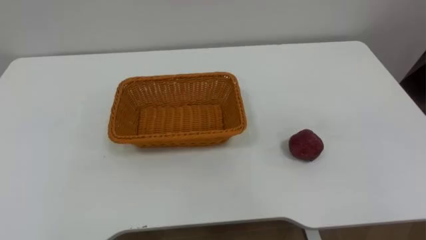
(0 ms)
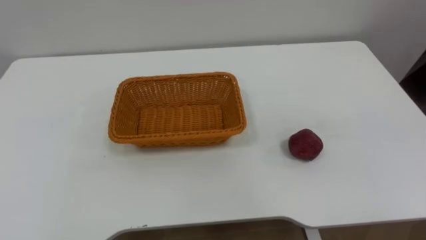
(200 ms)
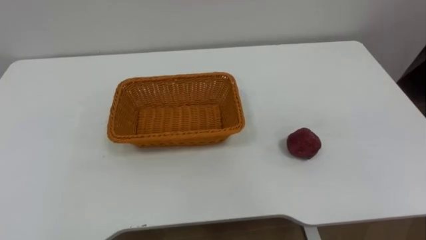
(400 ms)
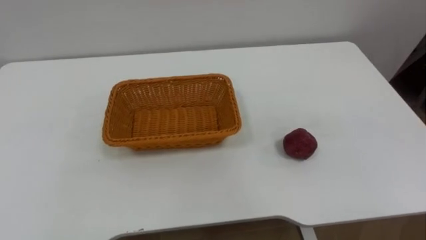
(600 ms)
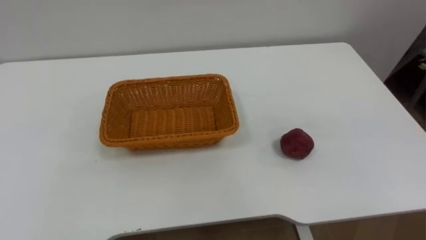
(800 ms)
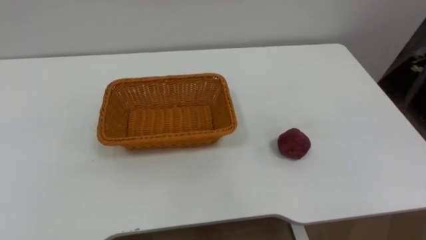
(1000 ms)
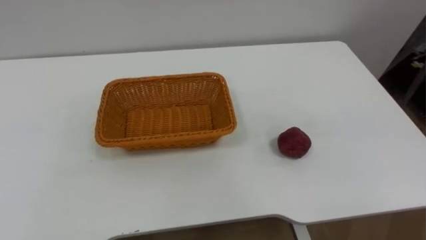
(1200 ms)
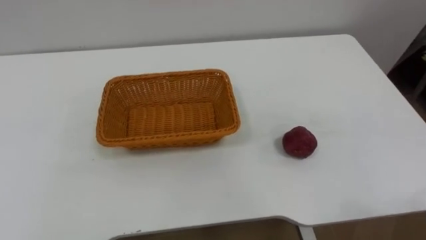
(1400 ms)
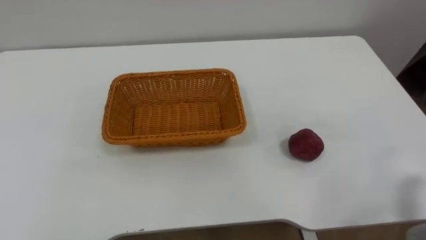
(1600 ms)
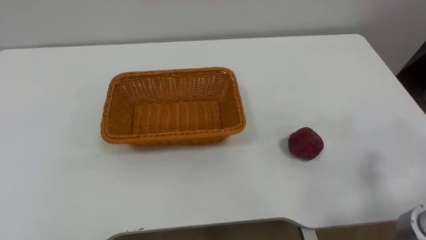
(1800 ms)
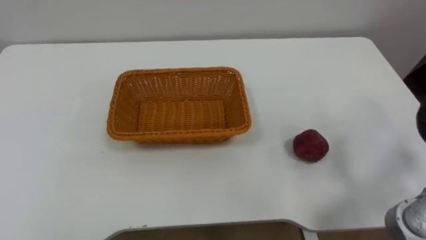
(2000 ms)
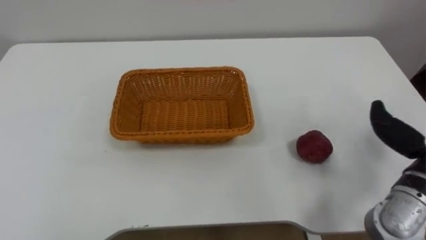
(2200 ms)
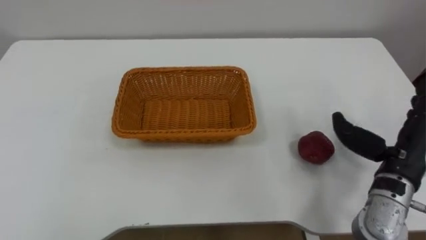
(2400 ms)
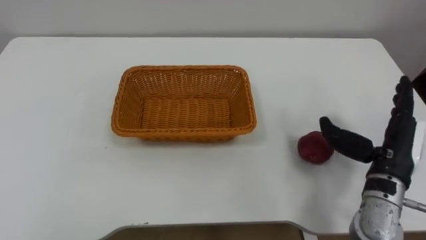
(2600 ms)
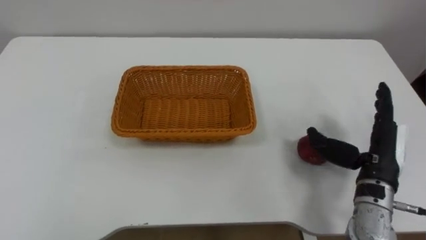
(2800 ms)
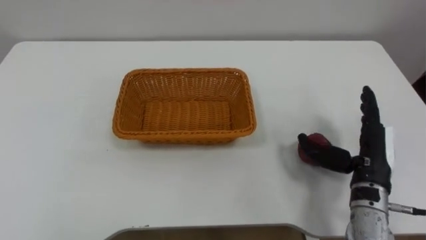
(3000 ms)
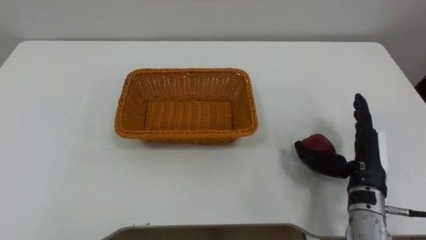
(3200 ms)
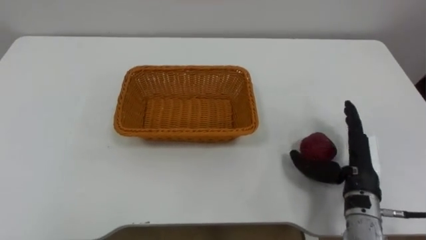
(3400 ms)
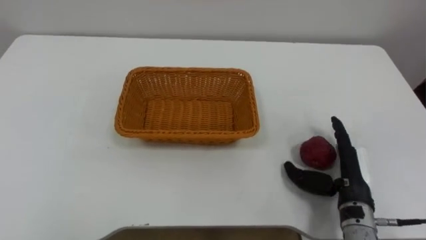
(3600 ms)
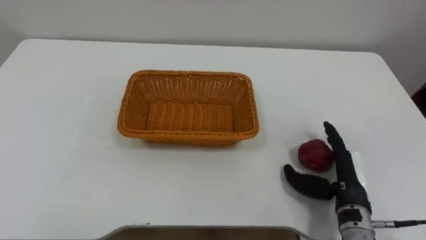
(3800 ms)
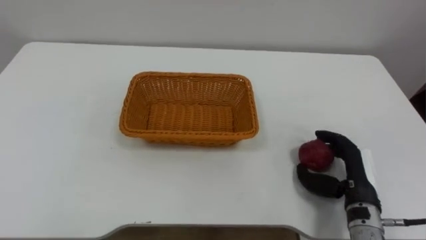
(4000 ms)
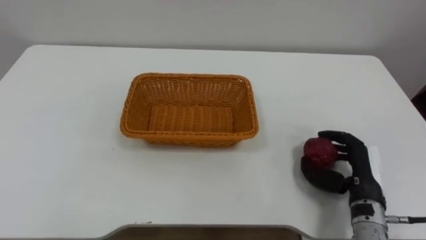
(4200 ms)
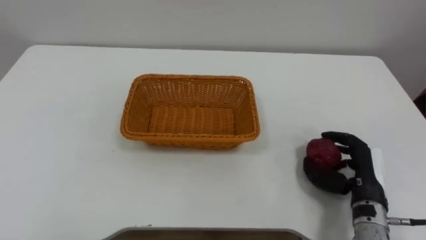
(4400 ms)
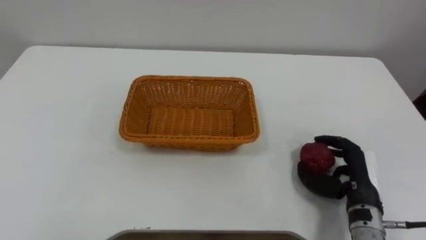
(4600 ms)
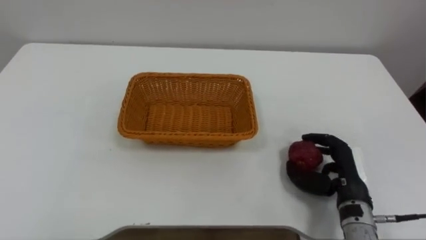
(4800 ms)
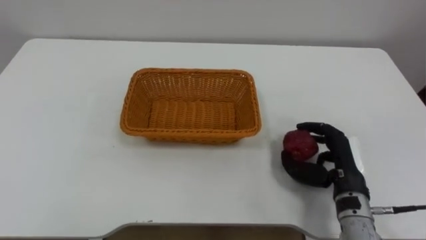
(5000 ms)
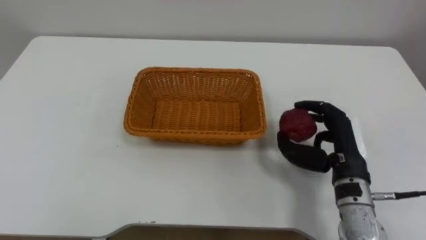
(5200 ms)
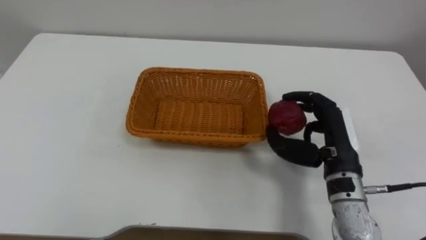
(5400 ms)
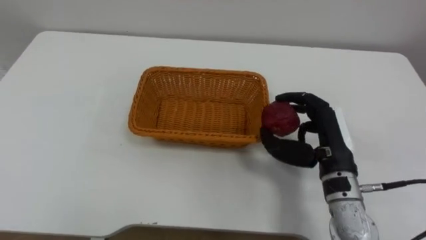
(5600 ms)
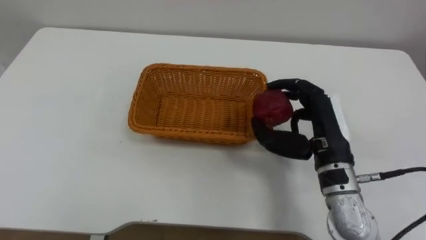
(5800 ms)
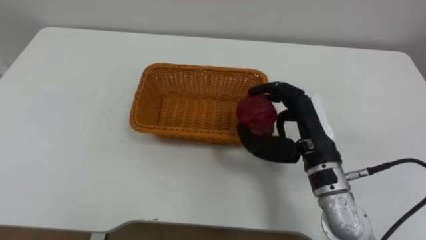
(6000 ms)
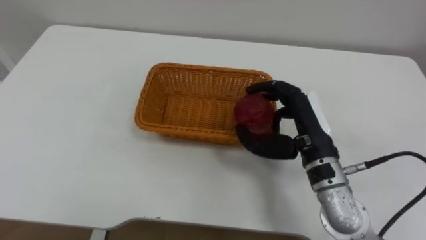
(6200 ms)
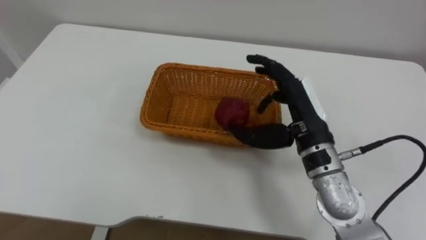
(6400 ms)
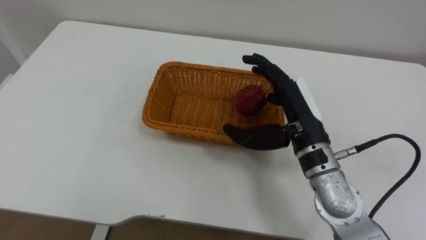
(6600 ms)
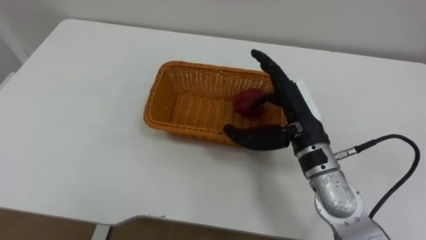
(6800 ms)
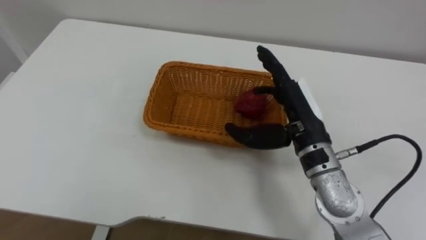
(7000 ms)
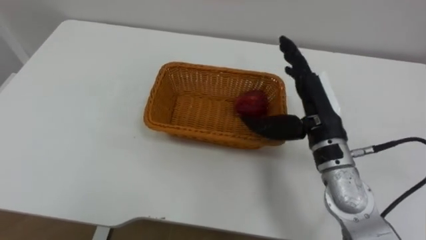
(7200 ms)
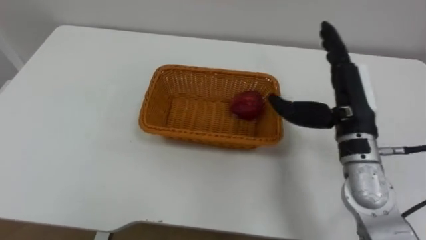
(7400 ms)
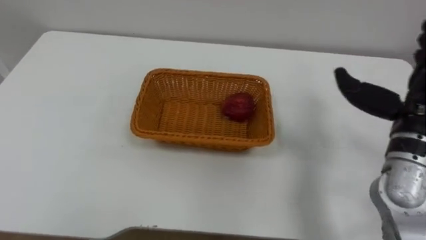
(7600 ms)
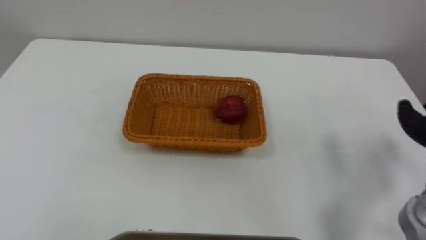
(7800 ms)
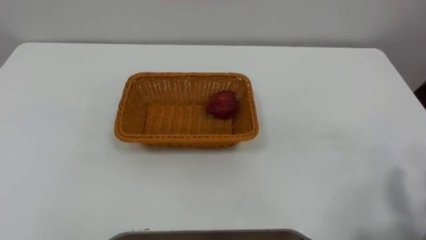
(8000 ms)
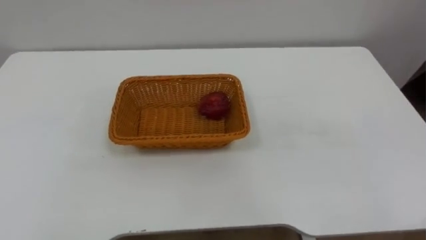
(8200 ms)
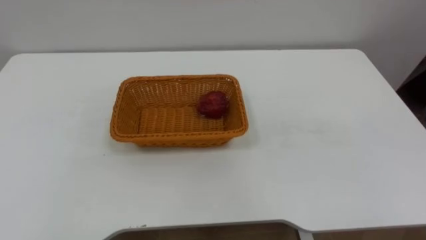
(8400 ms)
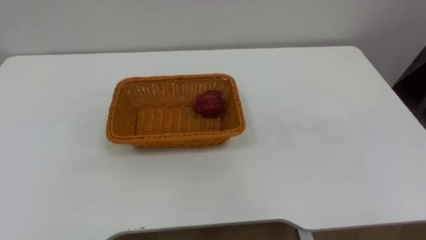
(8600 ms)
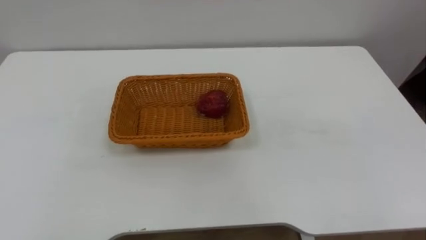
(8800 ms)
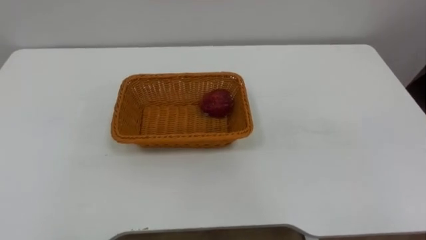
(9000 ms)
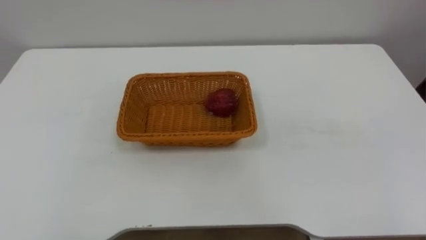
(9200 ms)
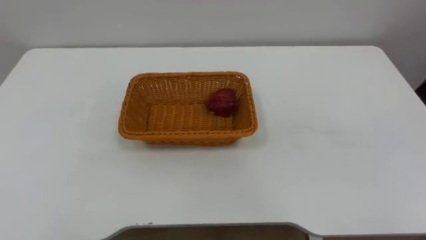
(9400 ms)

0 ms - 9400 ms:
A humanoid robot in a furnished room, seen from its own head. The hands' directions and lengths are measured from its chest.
Task of the whole recording: Pick the apple and place it in the box.
3200 ms - 4800 ms: The right hand closes its fingers.
4800 ms - 6200 ms: The right hand travels upward and to the left by some 15 cm.

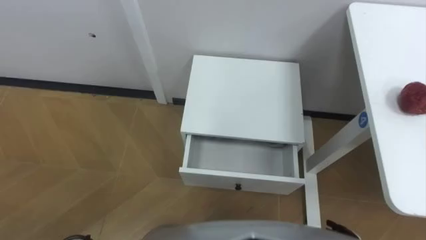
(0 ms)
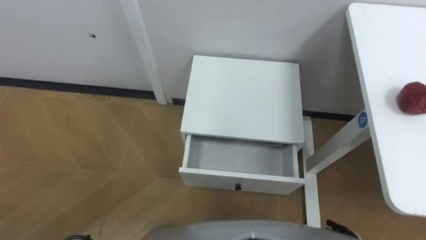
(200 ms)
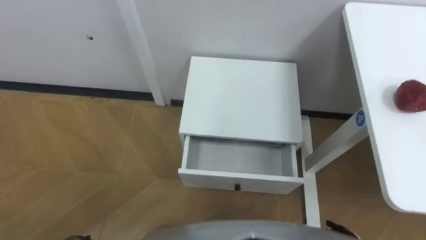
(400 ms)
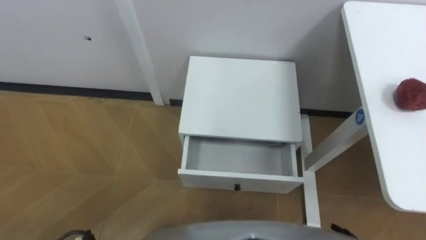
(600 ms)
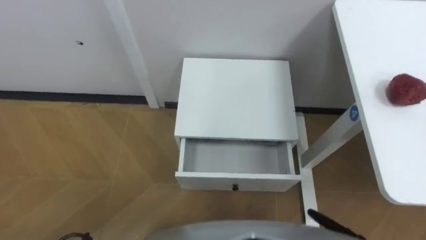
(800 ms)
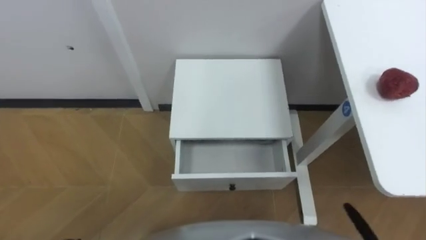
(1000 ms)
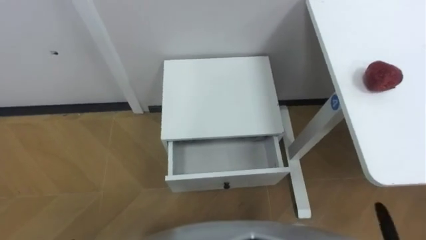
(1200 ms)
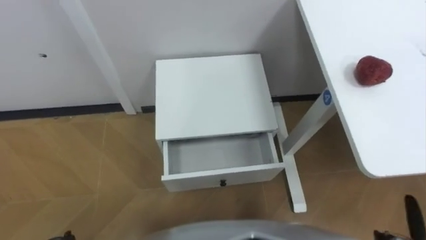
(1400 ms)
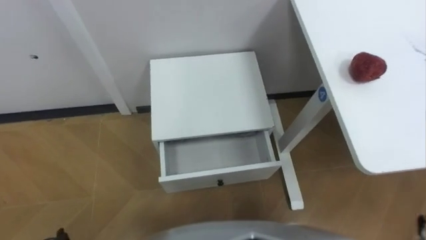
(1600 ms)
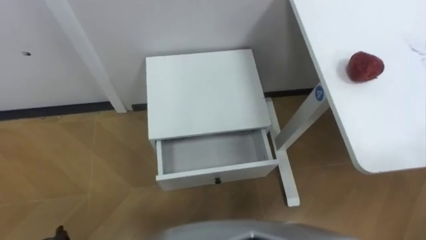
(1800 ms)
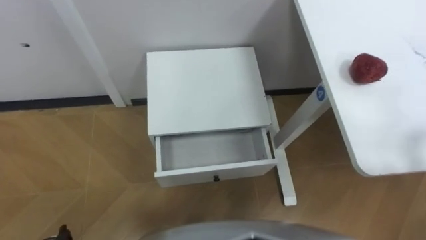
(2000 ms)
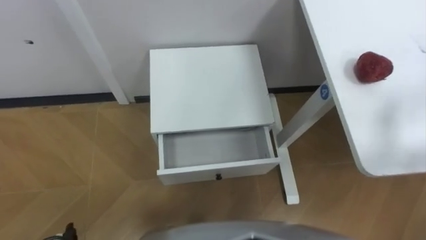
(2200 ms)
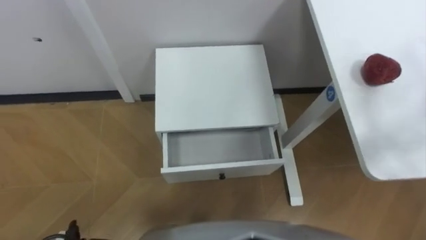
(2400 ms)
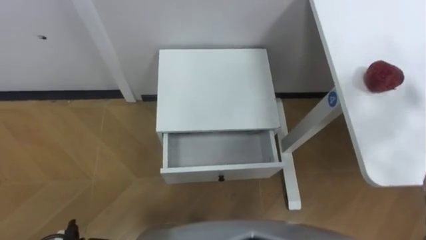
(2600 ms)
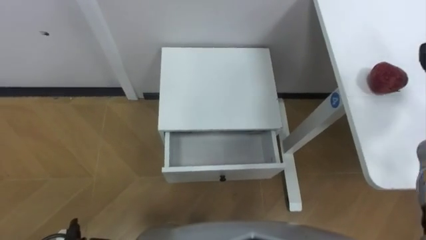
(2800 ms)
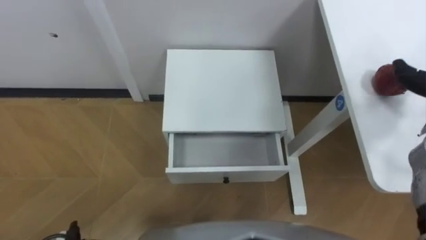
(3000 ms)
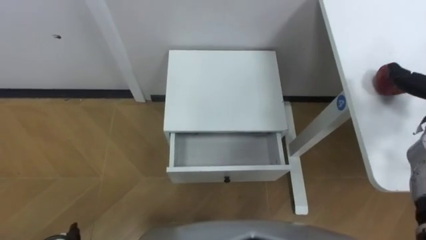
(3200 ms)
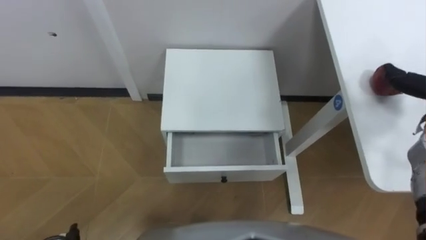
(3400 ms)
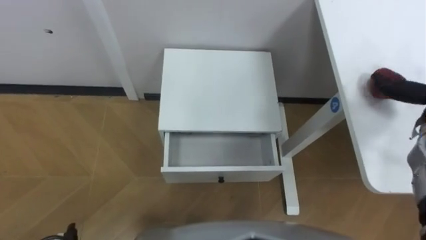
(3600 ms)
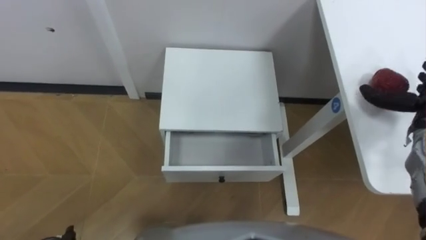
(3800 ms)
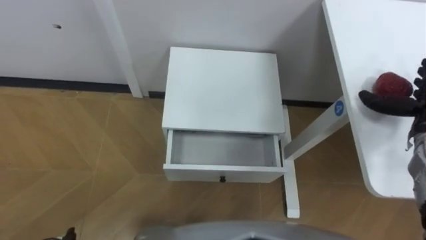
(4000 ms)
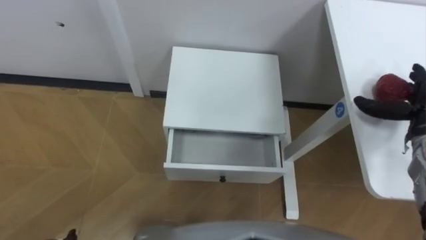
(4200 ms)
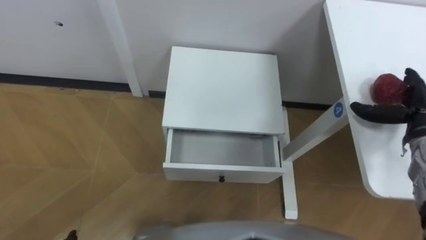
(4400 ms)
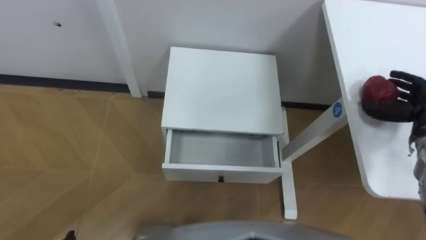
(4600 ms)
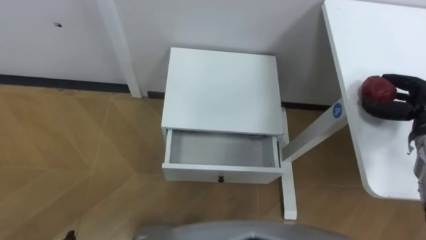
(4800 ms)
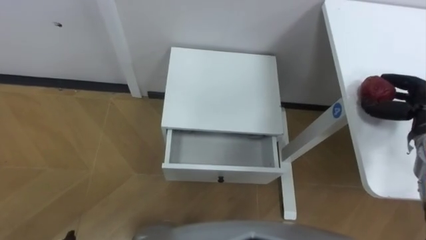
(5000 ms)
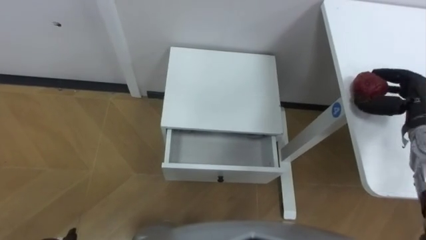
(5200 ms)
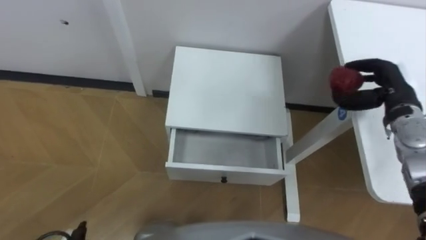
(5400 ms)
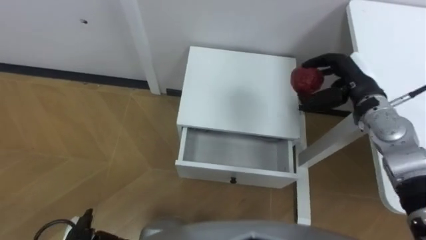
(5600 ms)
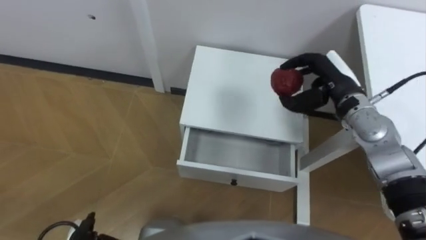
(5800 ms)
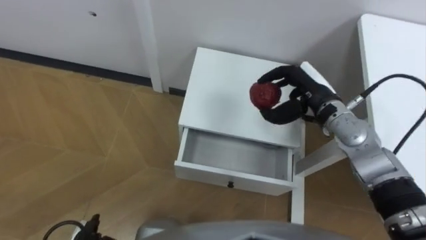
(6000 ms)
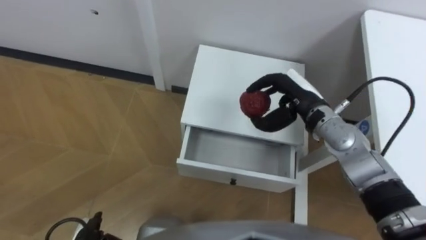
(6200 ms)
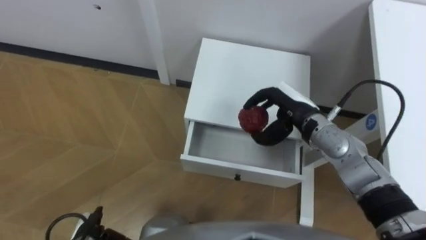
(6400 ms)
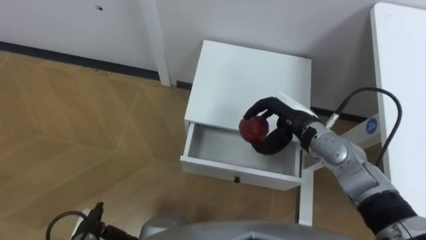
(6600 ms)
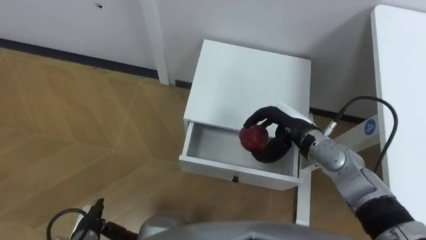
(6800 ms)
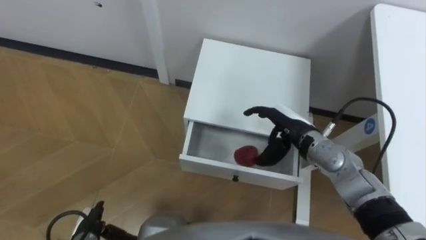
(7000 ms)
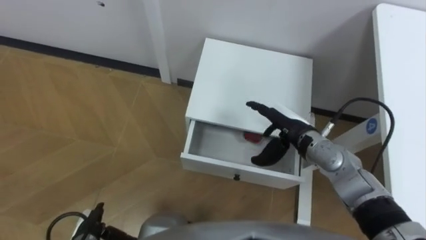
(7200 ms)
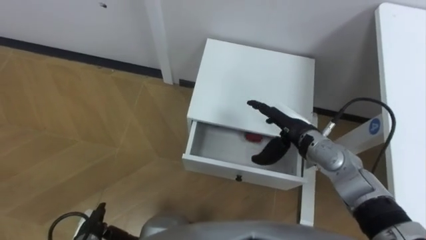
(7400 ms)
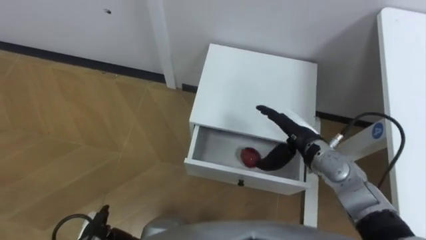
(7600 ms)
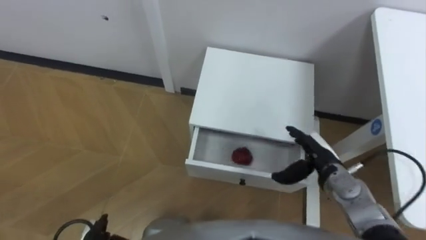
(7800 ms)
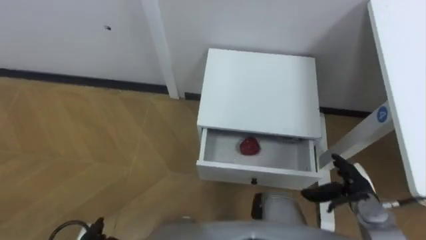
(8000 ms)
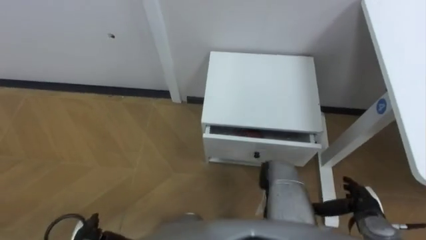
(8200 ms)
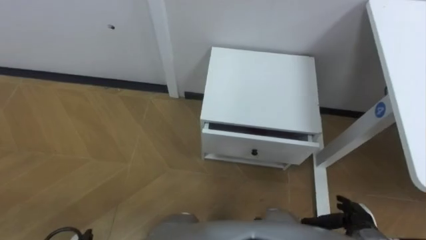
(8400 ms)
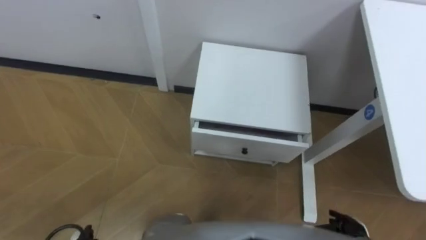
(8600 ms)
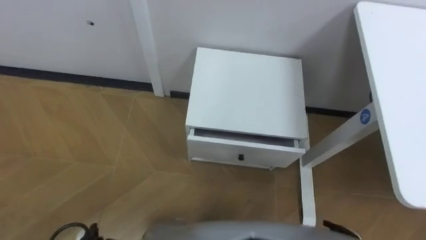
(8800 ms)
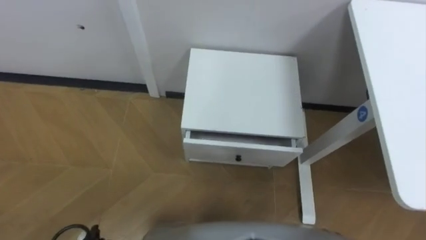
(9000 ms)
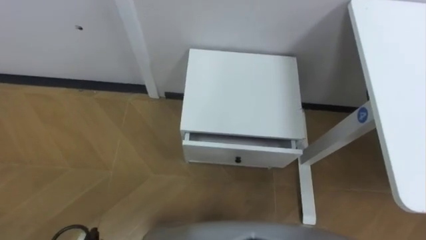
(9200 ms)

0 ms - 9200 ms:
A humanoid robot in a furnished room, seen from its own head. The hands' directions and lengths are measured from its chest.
Task of the whole recording: Pick up the apple from the table, put it in the drawer, and close the drawer with leg.
4600 ms - 6200 ms: The right hand shifts approximately 25 cm to the left.
6200 ms - 7600 ms: The right hand travels downward and backward by some 10 cm, and opens.
